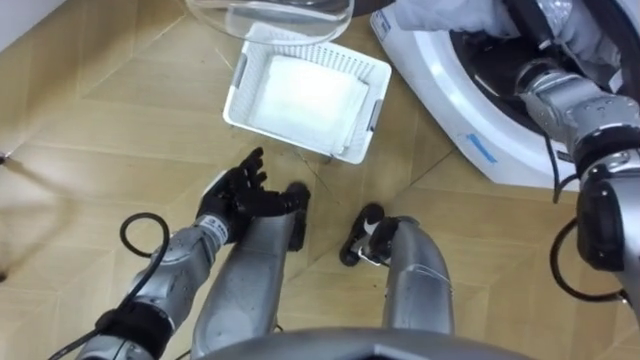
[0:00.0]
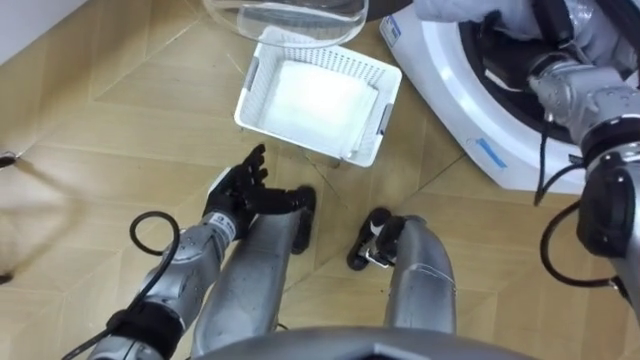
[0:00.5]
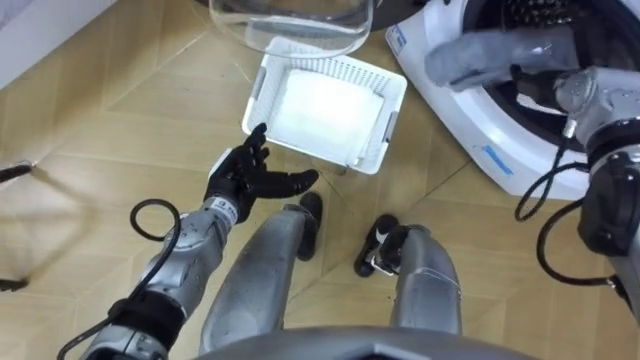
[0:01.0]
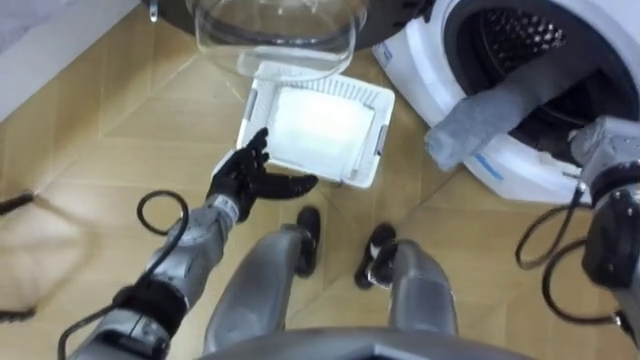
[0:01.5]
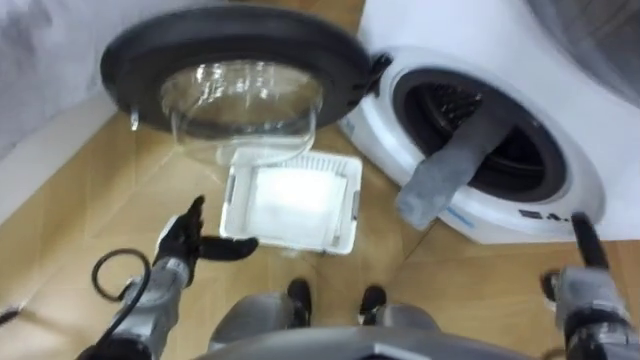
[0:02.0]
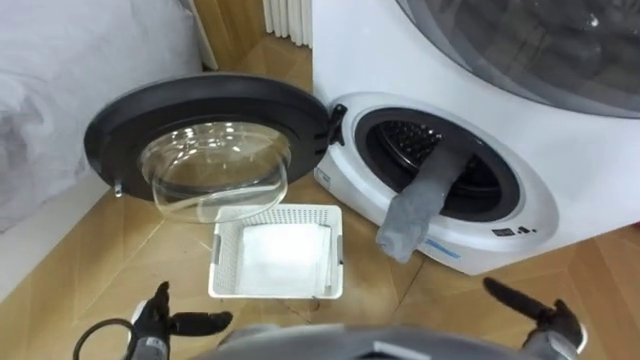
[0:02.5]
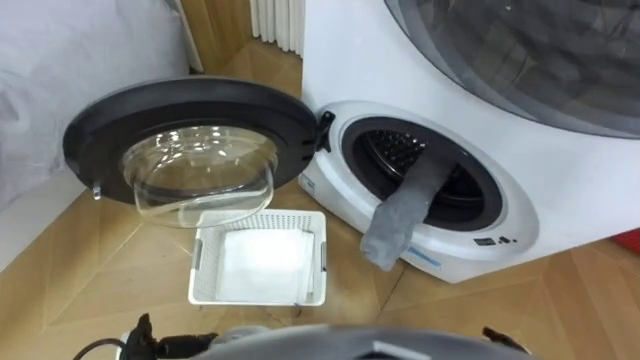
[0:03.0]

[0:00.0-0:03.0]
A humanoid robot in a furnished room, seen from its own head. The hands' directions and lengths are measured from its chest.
Task of the whole recording: Take the towel from the basket and put it into the washing machine.
0:00.0 to 0:01.5: The right hand is displaced to the right, backward and downward by some 15 cm, and opens up.

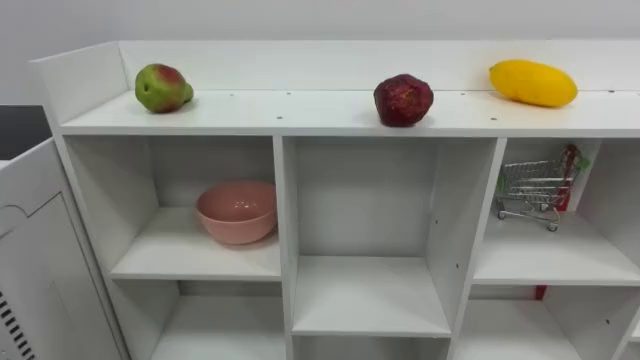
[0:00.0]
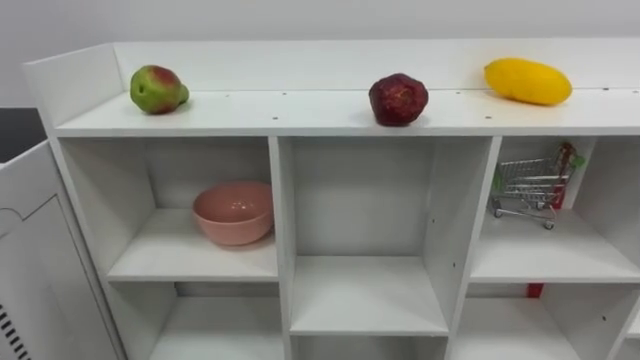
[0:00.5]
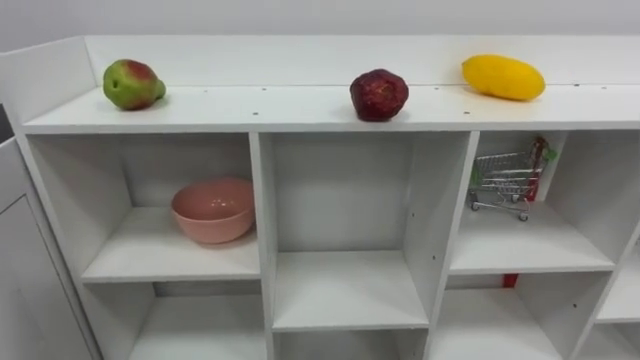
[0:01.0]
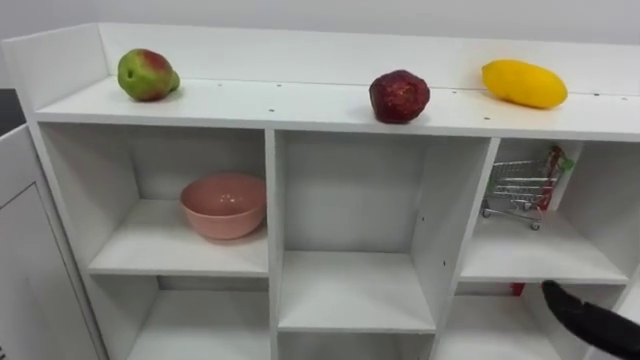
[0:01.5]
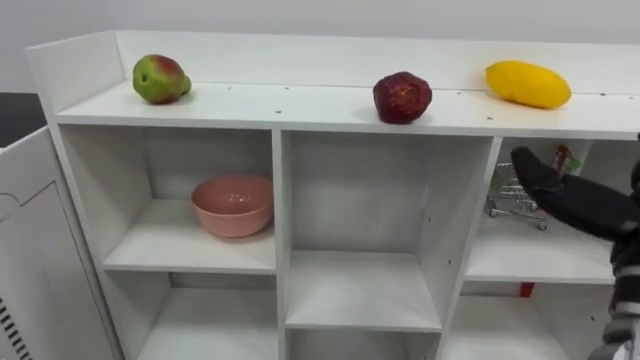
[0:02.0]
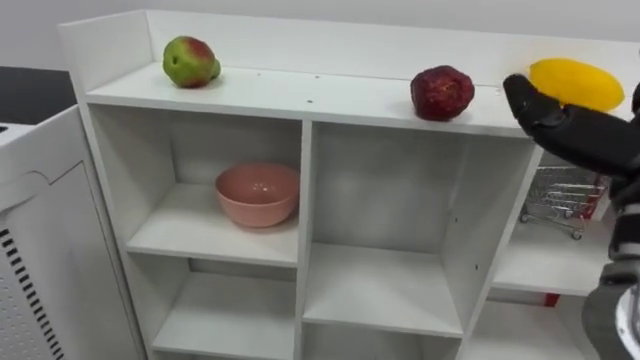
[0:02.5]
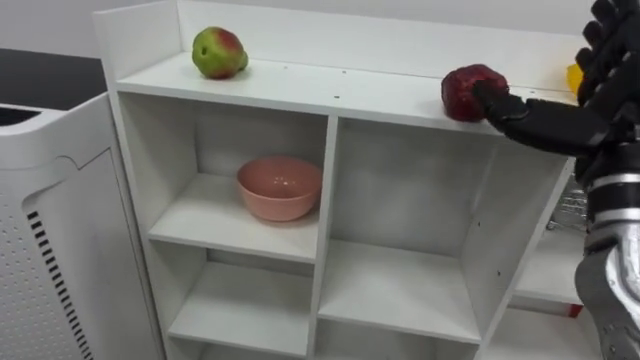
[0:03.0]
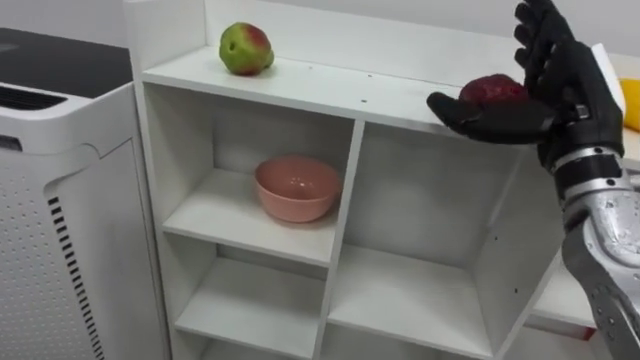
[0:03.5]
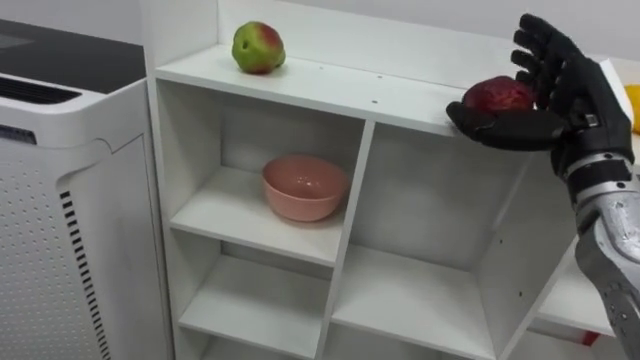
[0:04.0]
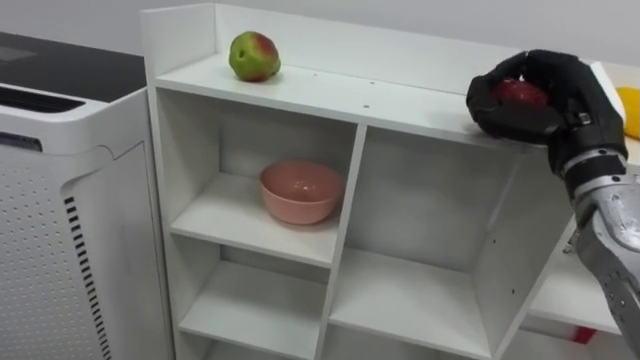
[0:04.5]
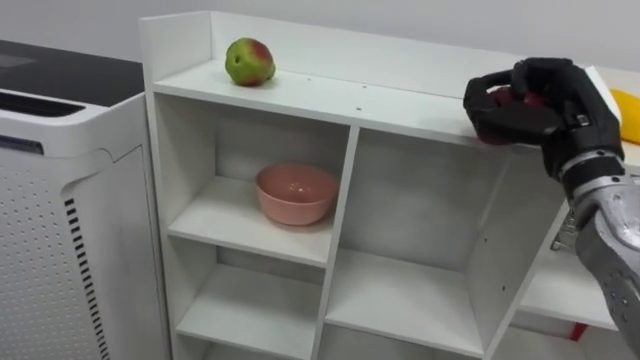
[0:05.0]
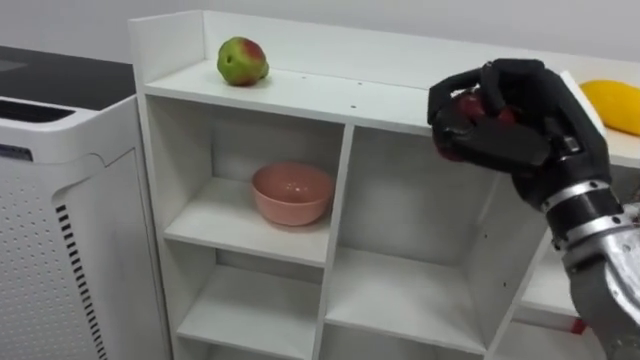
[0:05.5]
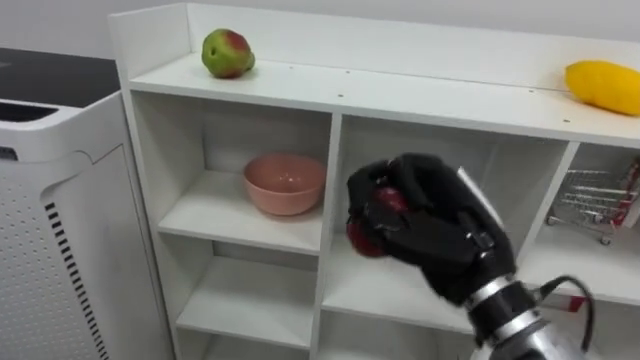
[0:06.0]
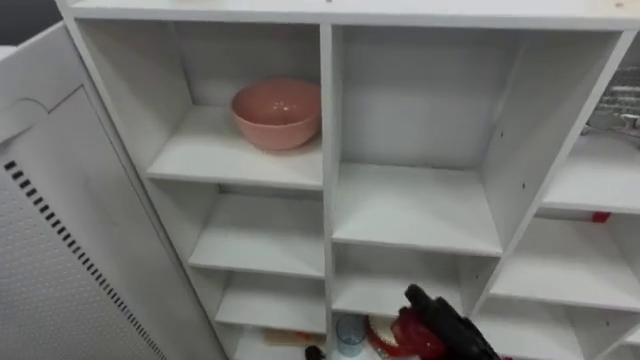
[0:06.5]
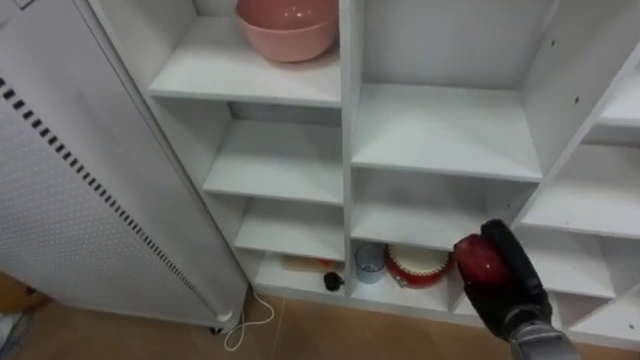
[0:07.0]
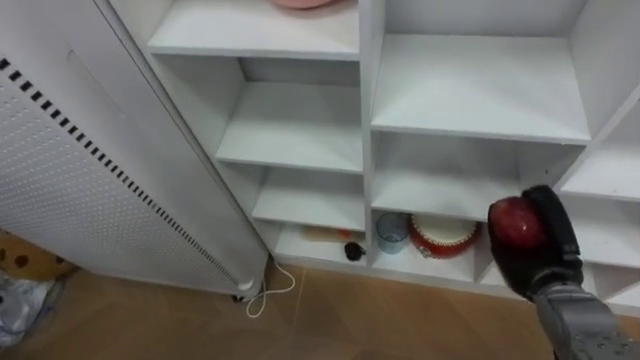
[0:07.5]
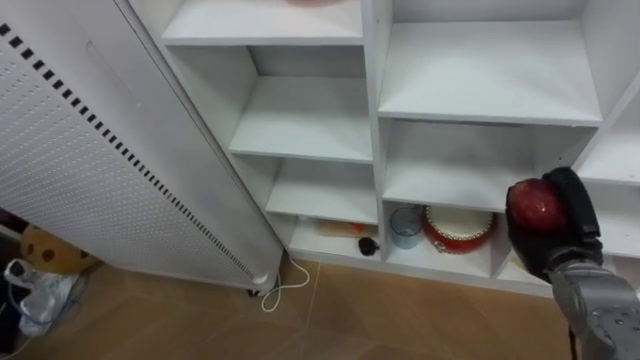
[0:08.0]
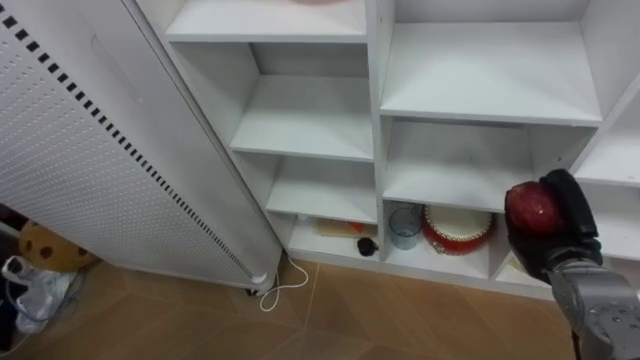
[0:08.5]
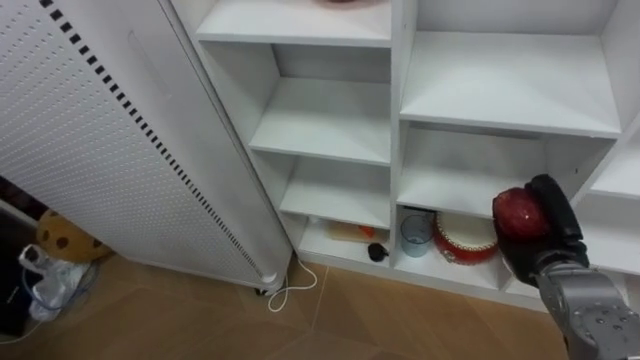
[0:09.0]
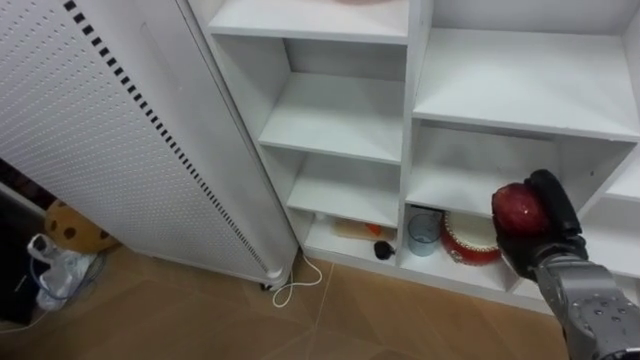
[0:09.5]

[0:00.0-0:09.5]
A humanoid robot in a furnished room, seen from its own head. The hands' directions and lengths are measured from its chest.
Task of the whole recording: Put the apple in the cell in the second column from the left and the second row from the top.
0:04.0 to 0:05.5: The right hand ends up about 5 cm from where it was, and closes.
0:05.5 to 0:07.5: The right hand moves downward, some 20 cm.

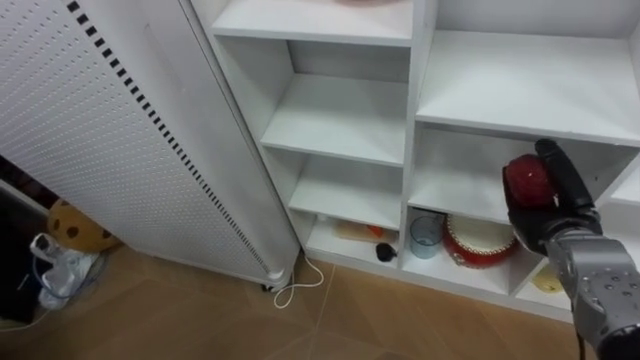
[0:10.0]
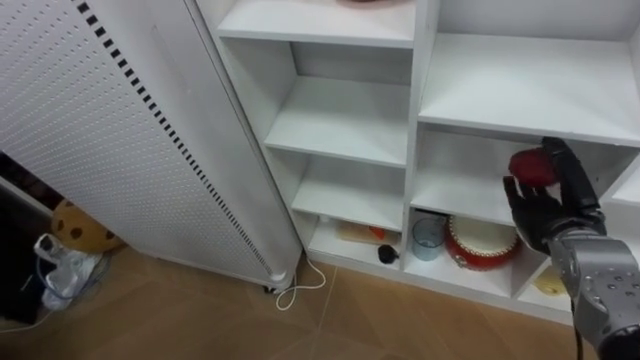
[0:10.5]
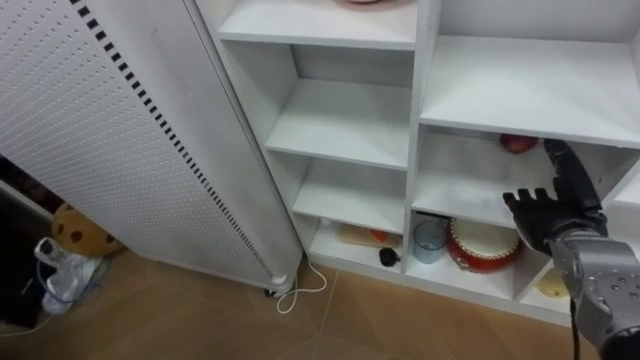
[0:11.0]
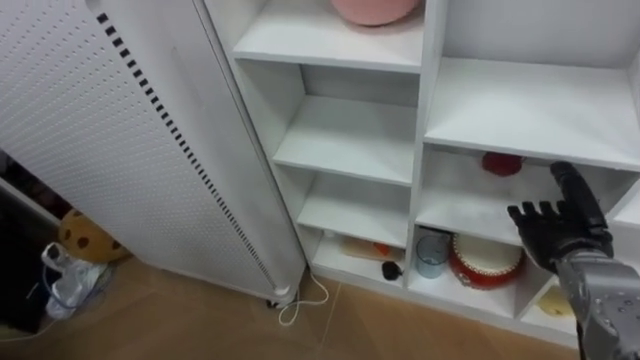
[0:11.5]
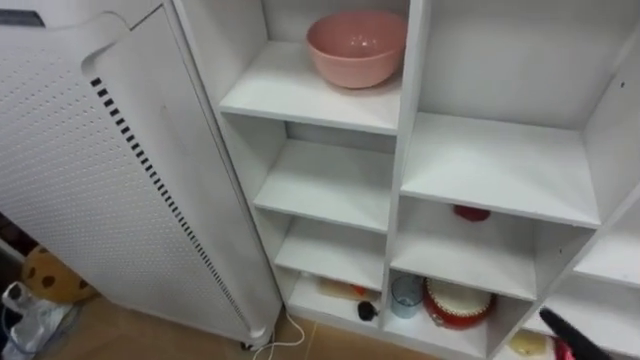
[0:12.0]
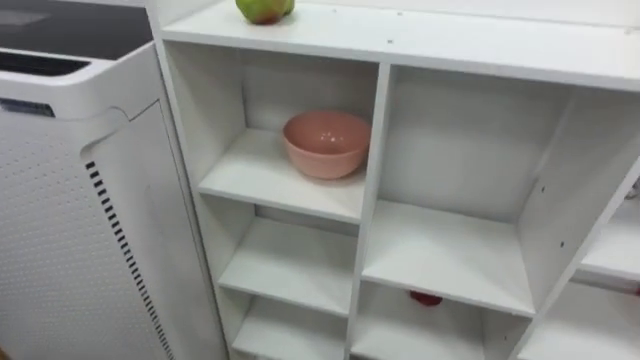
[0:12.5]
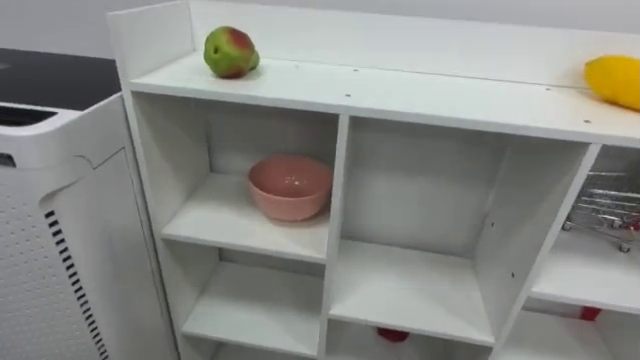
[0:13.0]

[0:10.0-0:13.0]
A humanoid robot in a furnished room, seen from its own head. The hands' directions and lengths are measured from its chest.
Task of the whole recording: Put the apple in the cell in the second column from the left and the second row from the top.
0:10.0 to 0:11.5: The right hand opens up.

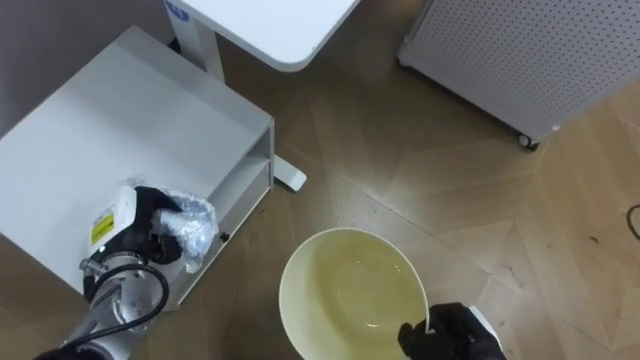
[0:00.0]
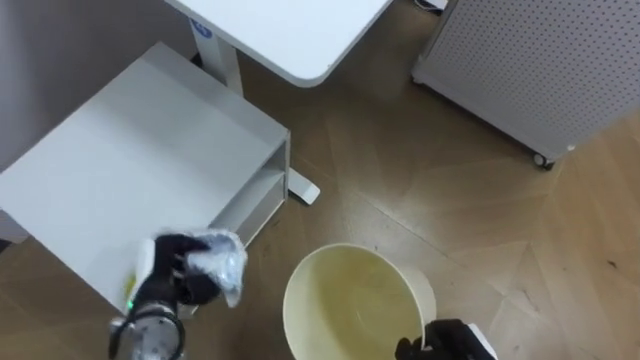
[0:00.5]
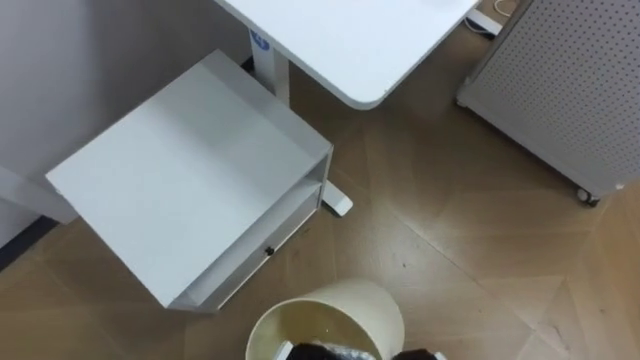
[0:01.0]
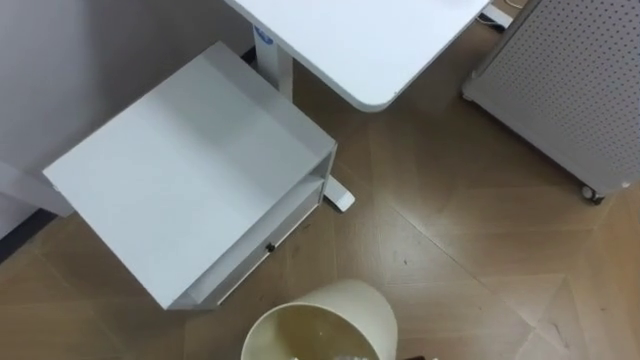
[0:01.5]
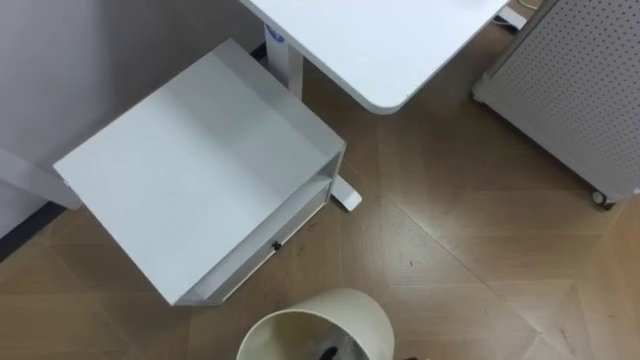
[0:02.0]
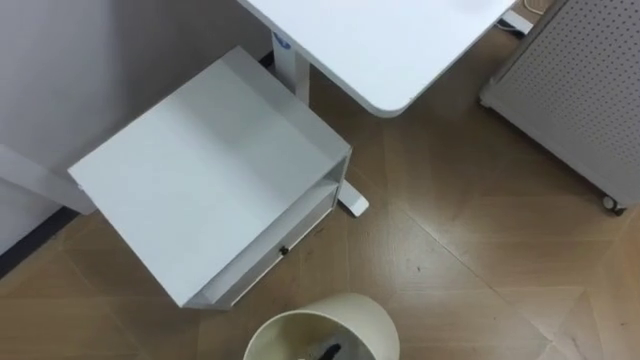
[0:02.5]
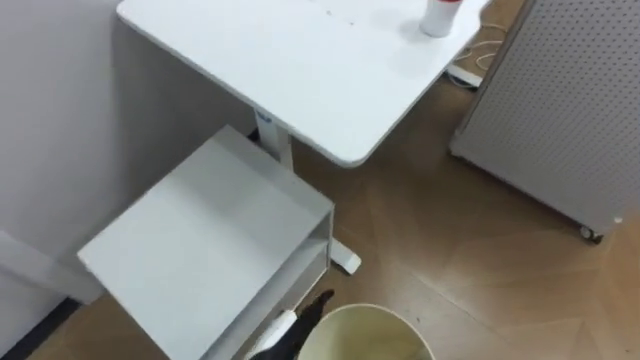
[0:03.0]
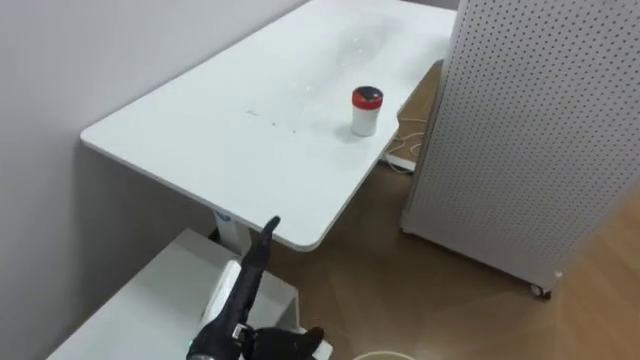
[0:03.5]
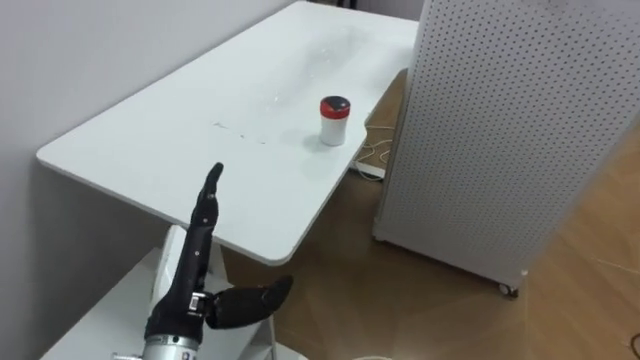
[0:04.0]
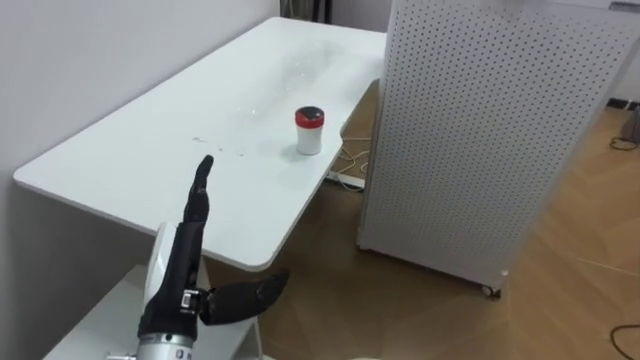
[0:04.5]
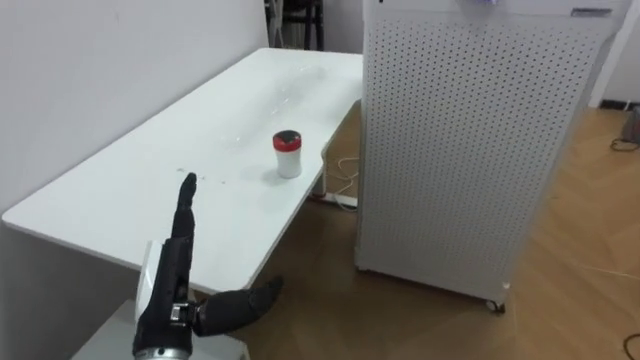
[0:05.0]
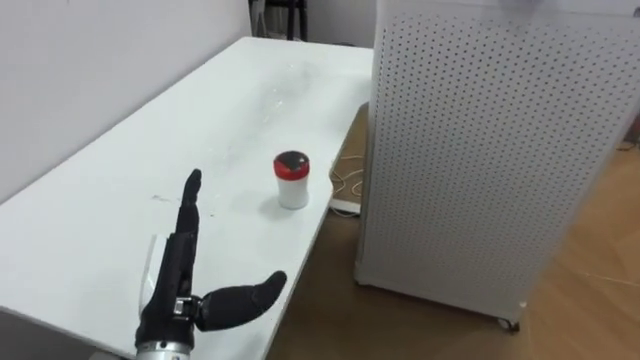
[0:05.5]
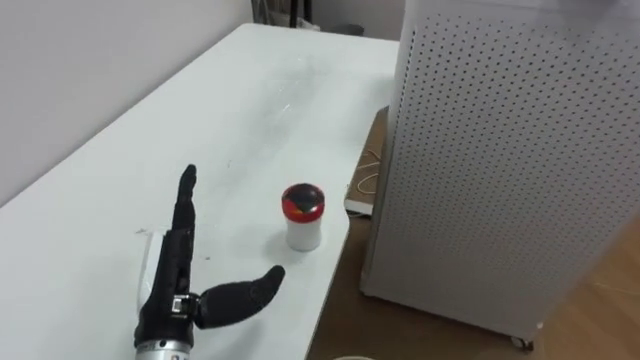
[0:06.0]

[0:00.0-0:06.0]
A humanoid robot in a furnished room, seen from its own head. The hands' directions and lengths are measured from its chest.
Task of the whole recording: Pick up the light blue package, the candy box, and the dark blue package separately, and put them into the trash can held in your right hand.
0:02.0 to 0:04.0: The robot rotates approximately 20 degrees to its right.
